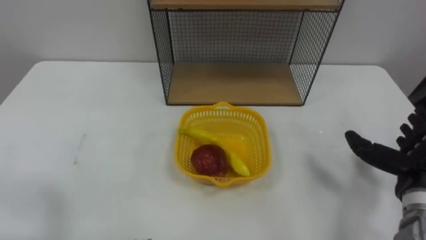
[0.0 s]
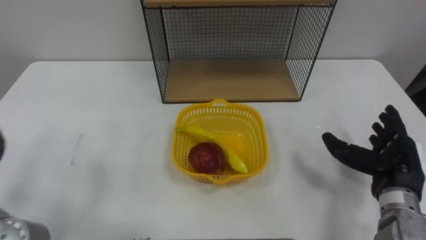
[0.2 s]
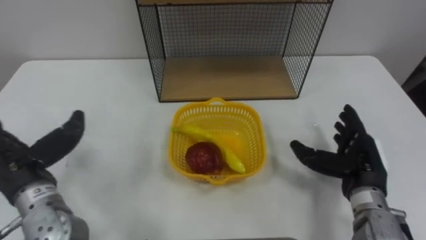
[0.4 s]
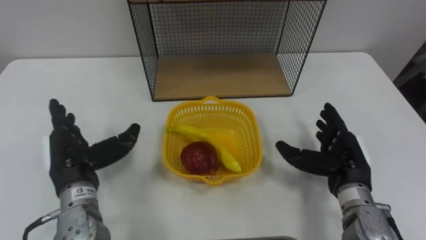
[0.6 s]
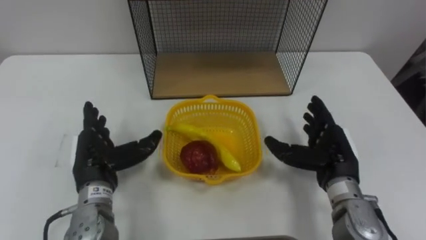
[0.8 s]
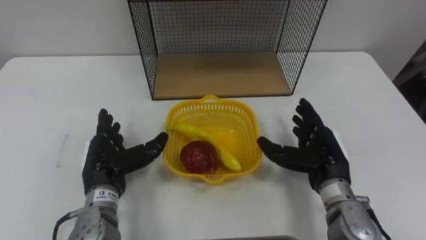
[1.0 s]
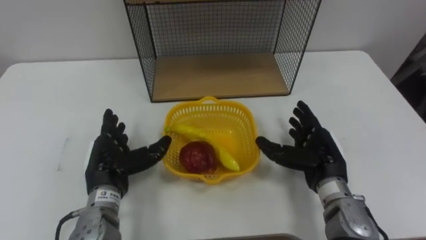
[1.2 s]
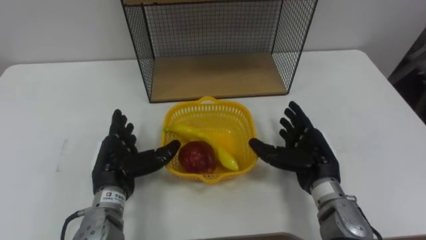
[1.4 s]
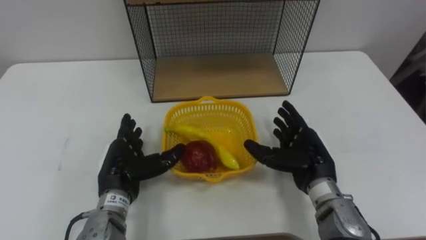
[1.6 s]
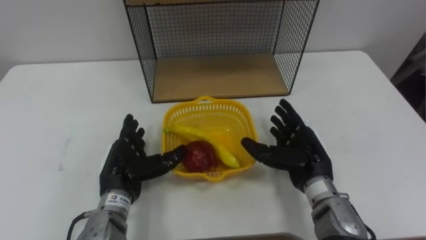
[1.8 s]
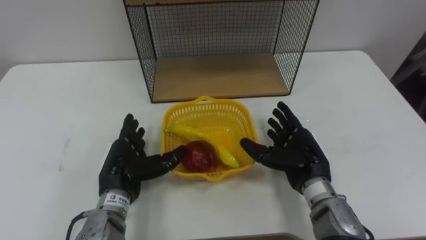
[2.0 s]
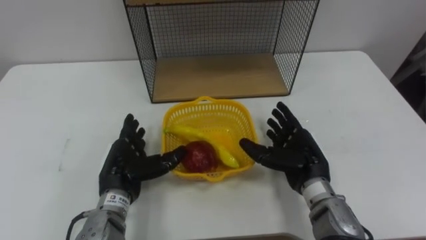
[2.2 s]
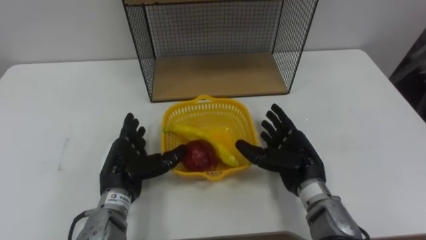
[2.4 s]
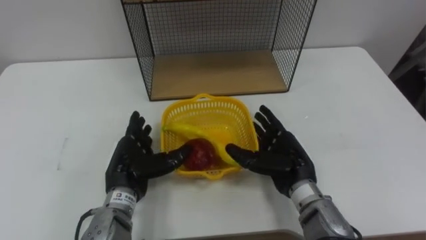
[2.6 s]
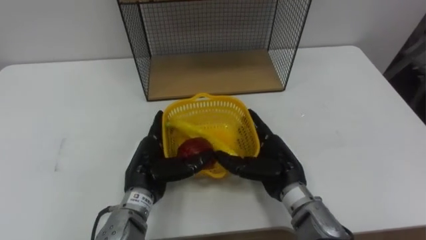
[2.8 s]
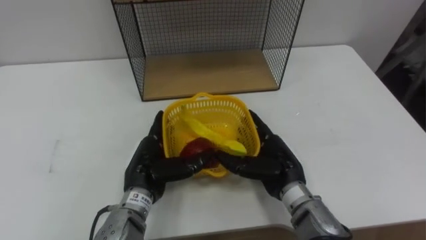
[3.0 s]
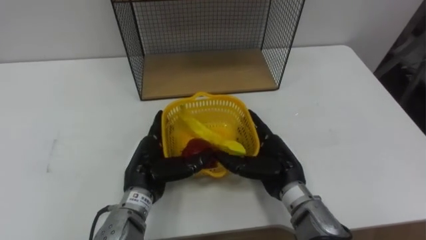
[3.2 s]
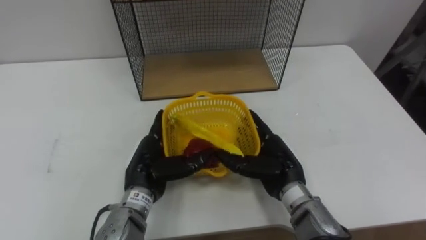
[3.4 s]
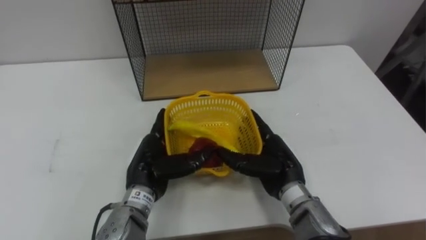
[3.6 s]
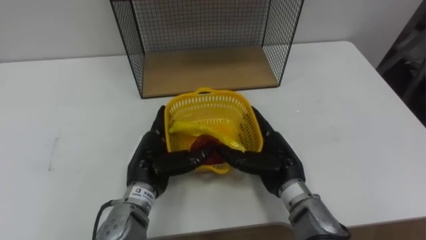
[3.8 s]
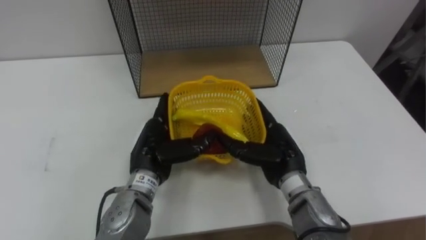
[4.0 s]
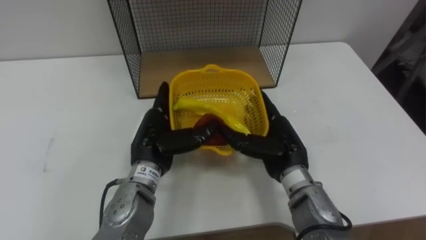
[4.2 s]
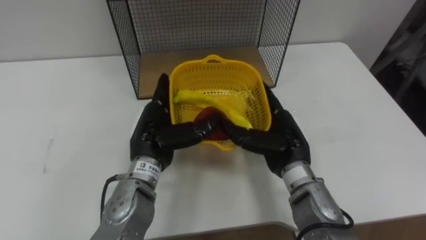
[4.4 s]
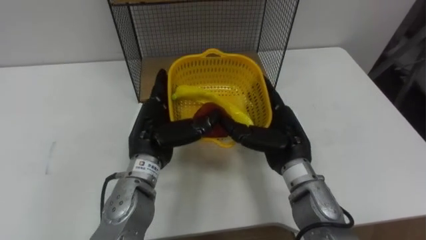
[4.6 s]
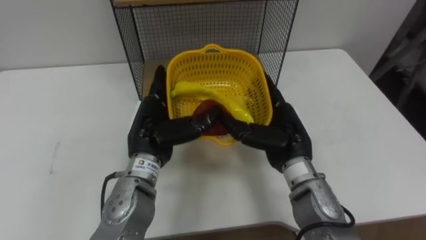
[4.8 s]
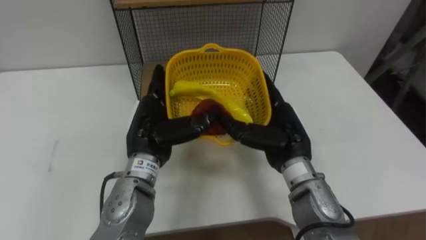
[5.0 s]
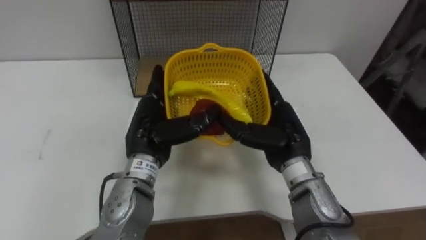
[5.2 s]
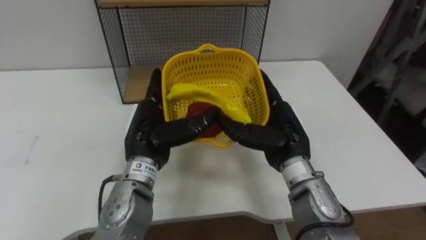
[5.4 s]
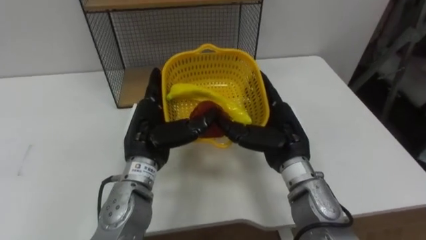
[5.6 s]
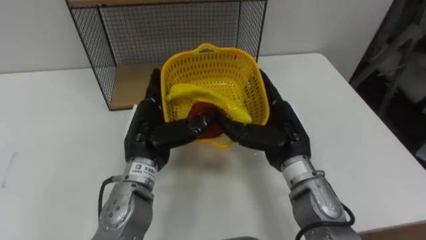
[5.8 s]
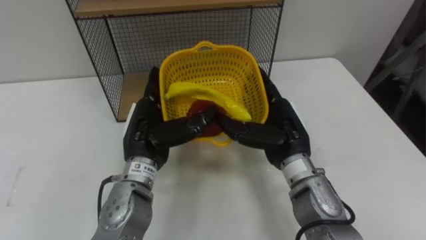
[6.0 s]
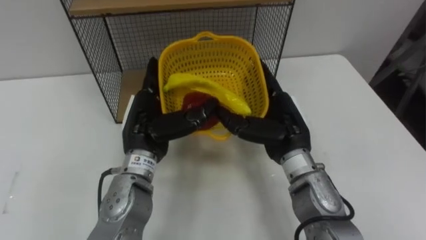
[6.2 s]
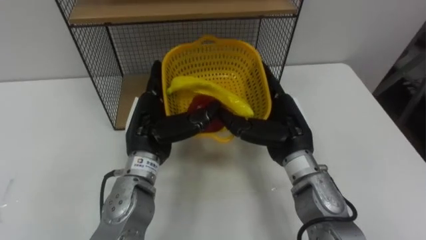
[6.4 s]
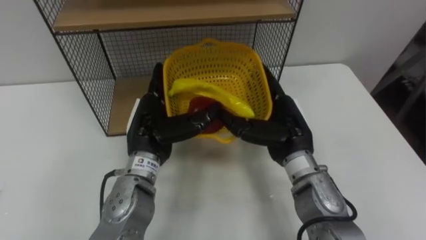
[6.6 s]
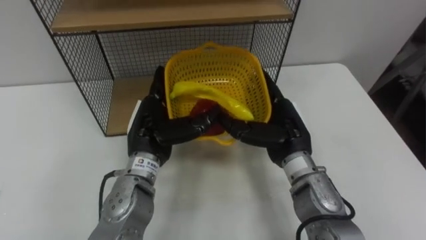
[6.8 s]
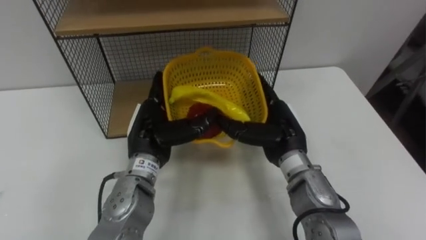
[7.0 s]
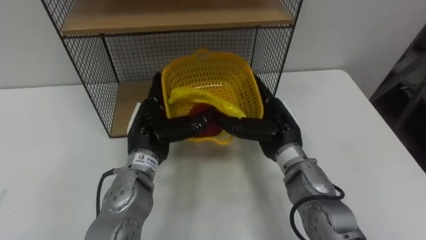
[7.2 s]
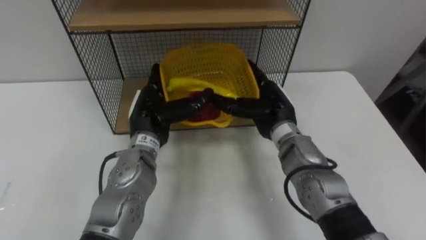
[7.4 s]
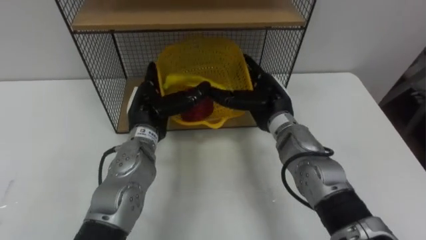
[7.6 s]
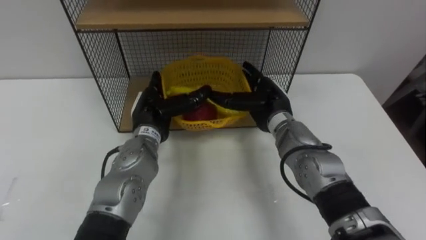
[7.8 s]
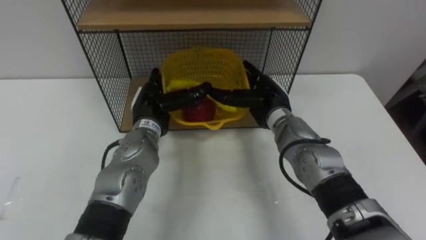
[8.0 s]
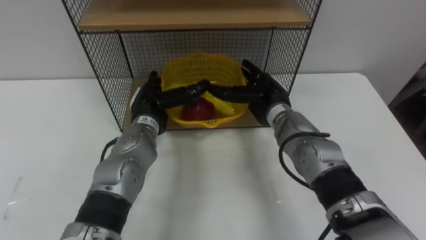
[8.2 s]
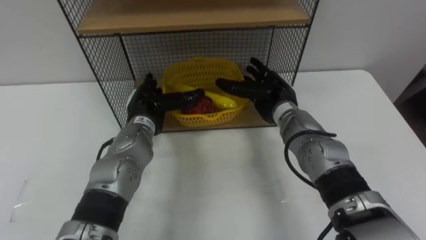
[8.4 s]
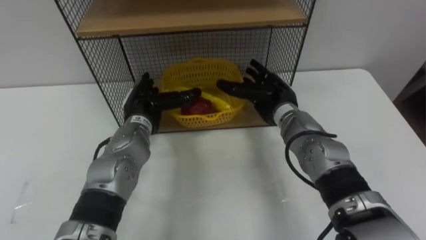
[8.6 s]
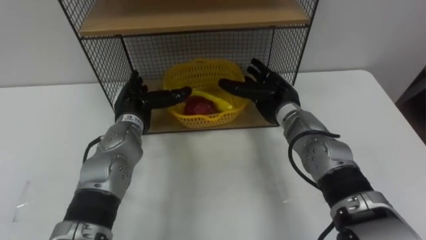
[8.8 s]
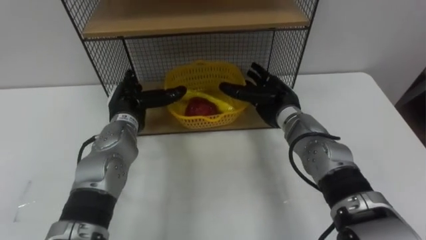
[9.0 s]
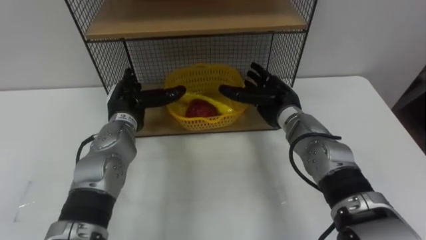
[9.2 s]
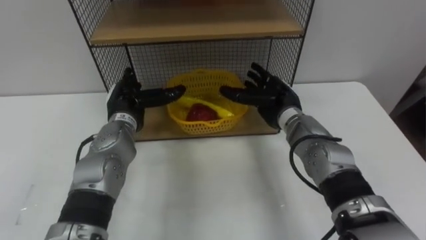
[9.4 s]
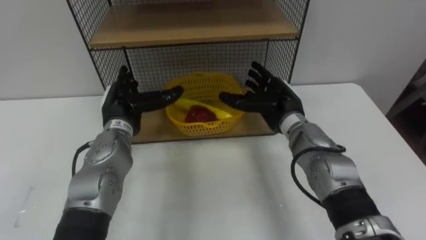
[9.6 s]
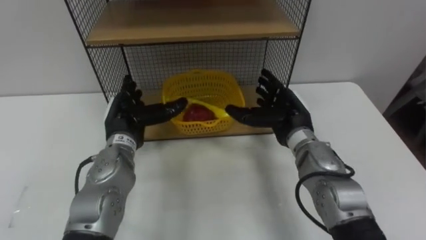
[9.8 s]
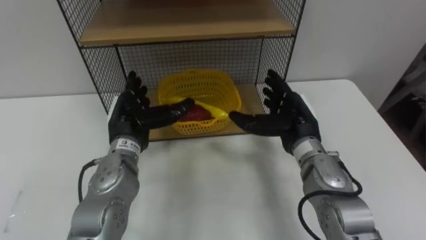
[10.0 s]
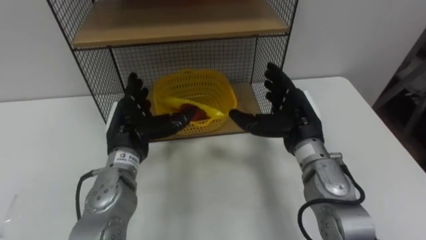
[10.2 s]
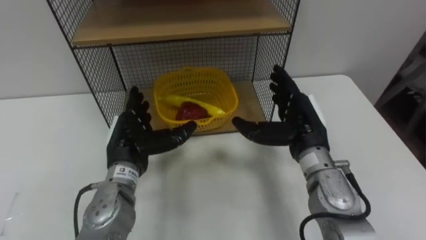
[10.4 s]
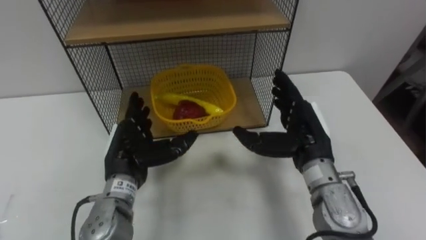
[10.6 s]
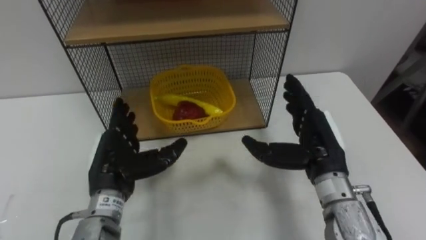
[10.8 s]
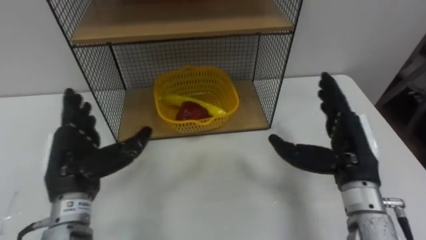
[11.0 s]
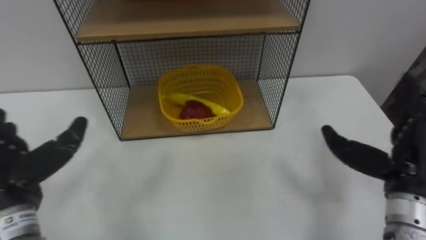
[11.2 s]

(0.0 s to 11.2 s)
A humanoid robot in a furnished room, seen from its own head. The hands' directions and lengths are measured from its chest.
Task of the whole recording: Put the fruit on the table into the basket, then place the basket on the shelf.
0.0 s - 1.6 s: The right hand travels to the left by about 15 cm.
1.6 s - 3.2 s: The left hand is displaced to the right by about 5 cm, while the right hand moves to the left, about 5 cm.
3.2 s - 4.8 s: The two hands go roughly 5 cm upward.
6.4 s - 8.0 s: Both hands travel together forward, approximately 10 cm.
8.0 s - 9.6 s: The left hand goes approximately 5 cm to the left.
9.6 s - 11.2 s: The right hand goes approximately 20 cm backward and to the right, while the left hand heads backward and to the left, covering roughly 20 cm.
